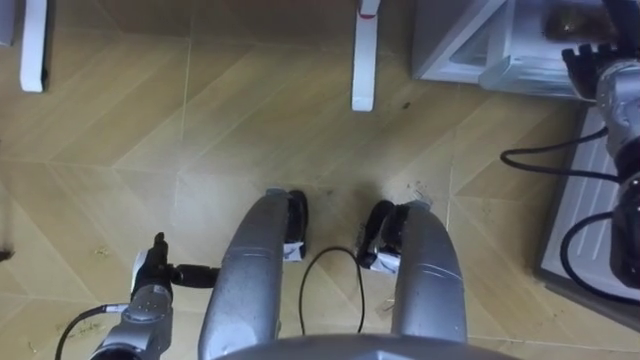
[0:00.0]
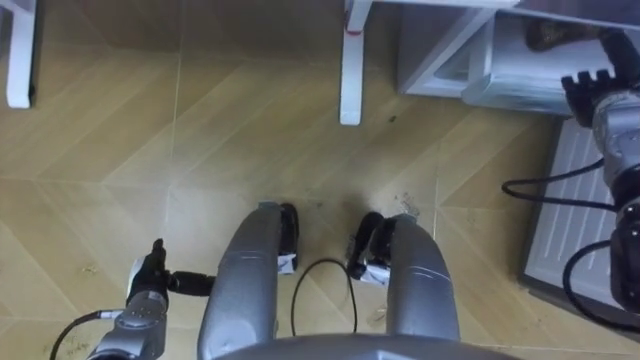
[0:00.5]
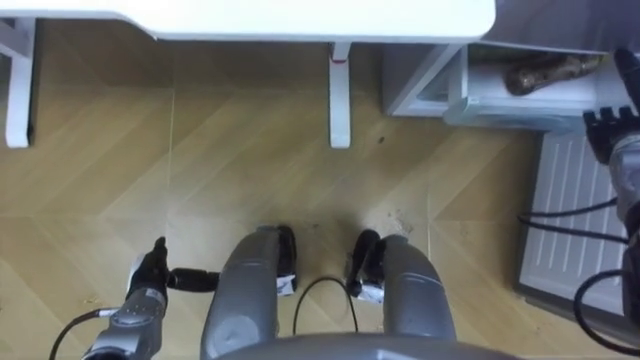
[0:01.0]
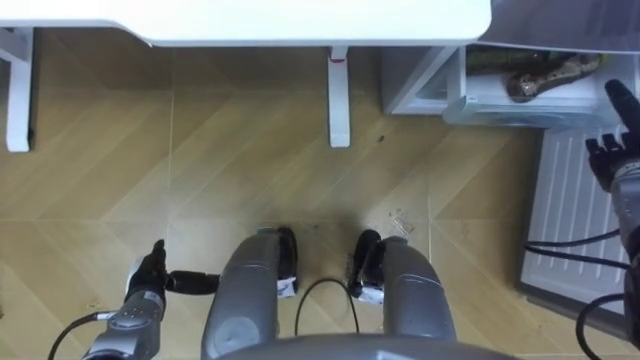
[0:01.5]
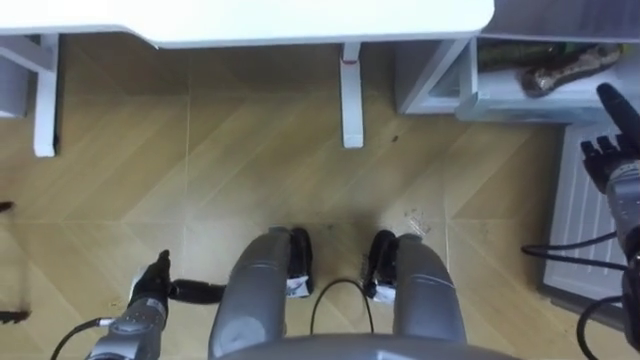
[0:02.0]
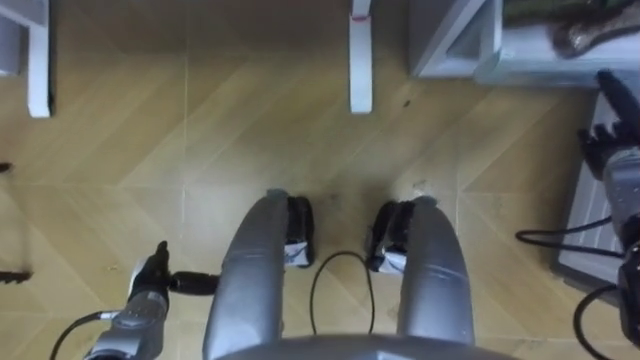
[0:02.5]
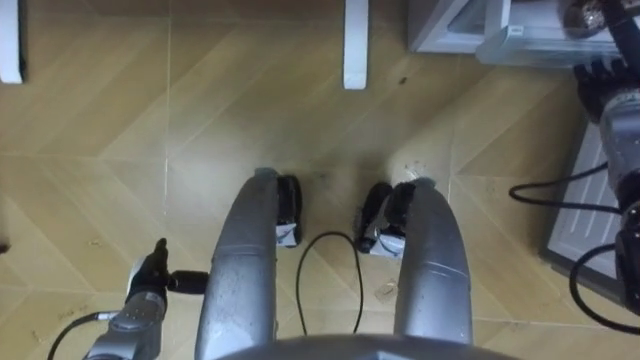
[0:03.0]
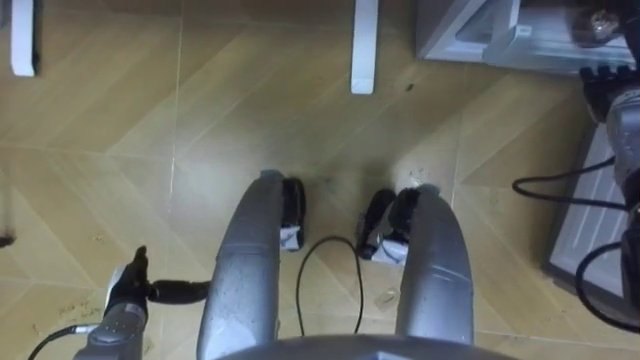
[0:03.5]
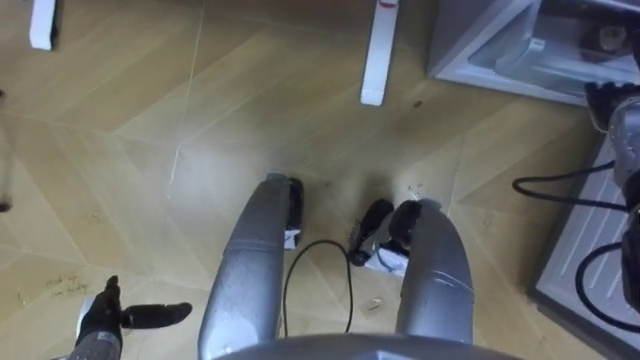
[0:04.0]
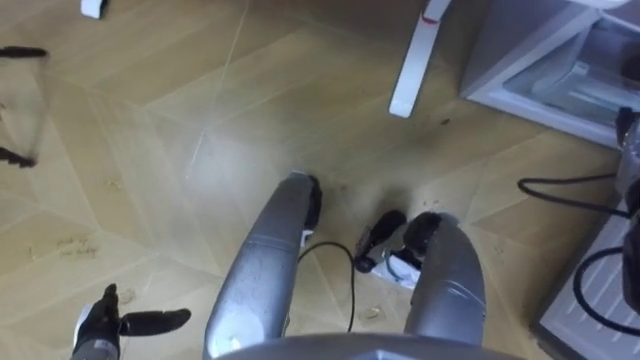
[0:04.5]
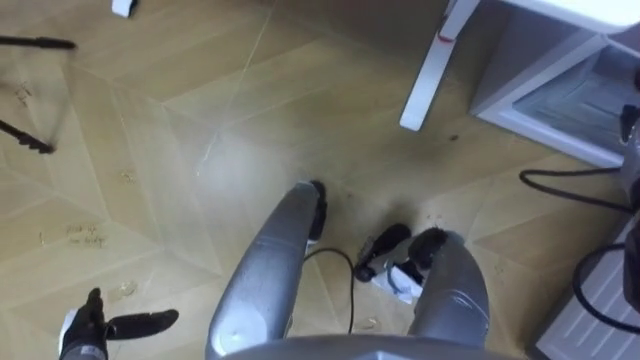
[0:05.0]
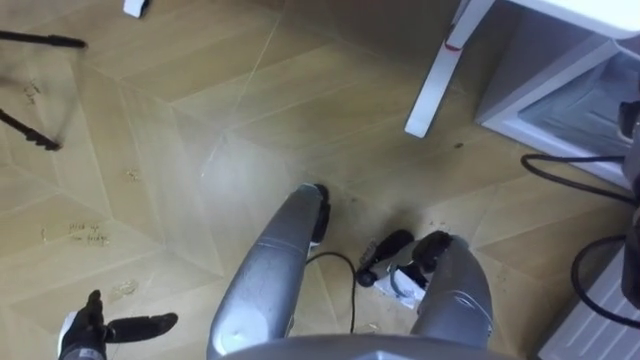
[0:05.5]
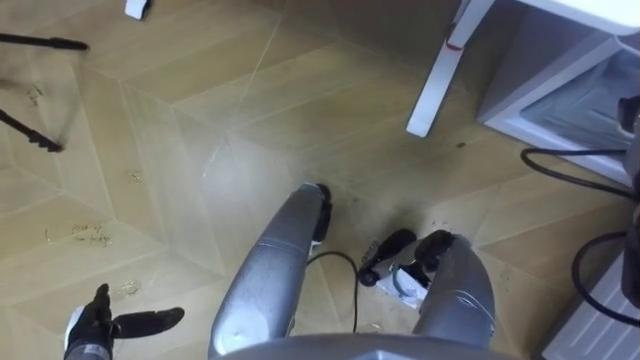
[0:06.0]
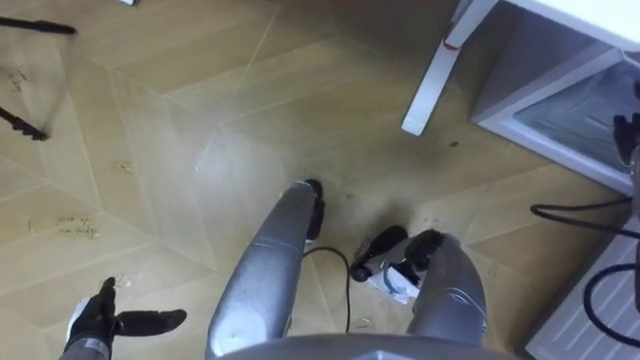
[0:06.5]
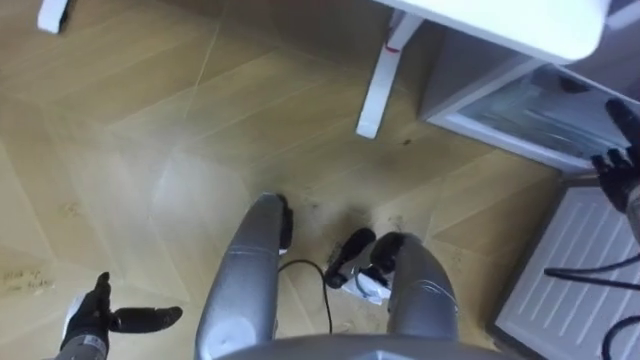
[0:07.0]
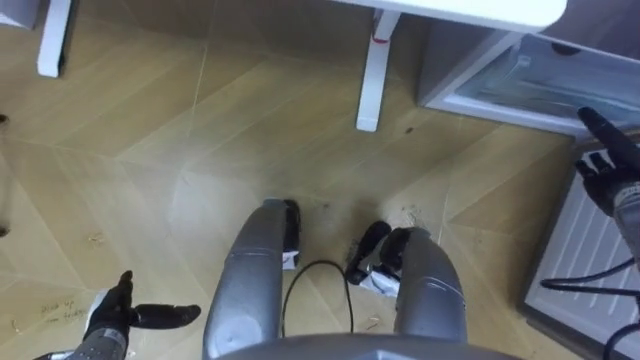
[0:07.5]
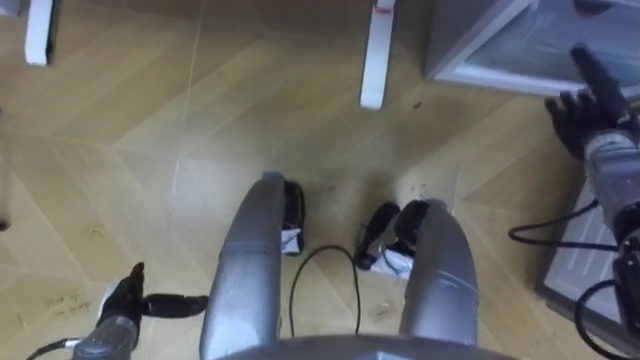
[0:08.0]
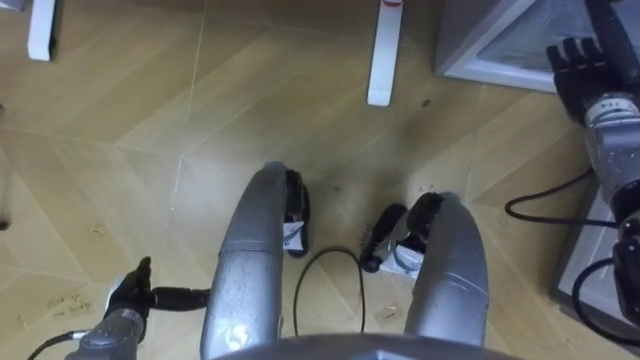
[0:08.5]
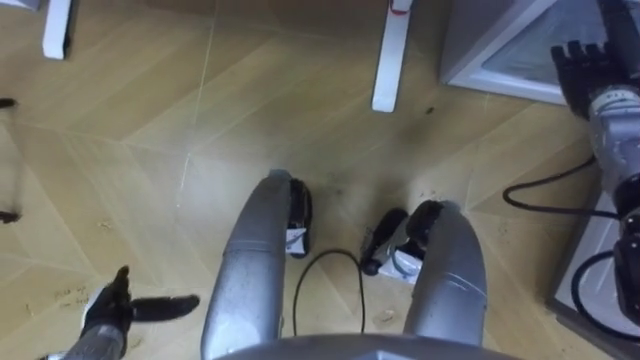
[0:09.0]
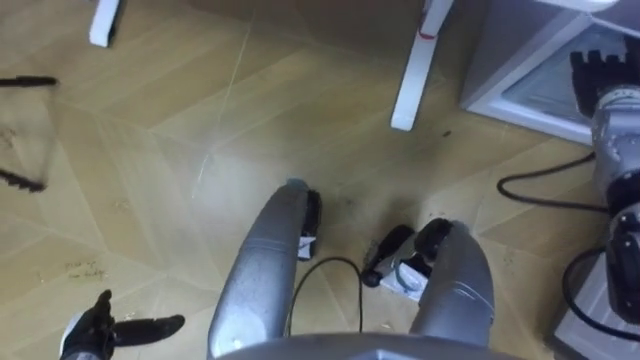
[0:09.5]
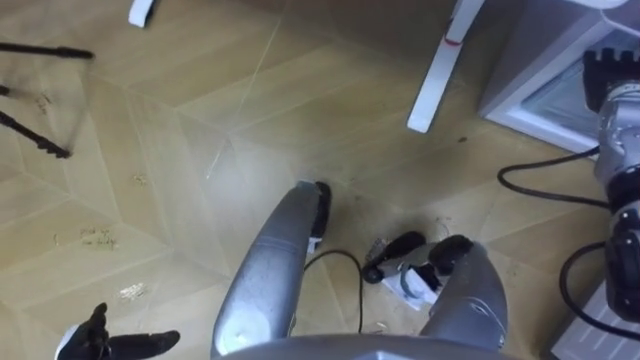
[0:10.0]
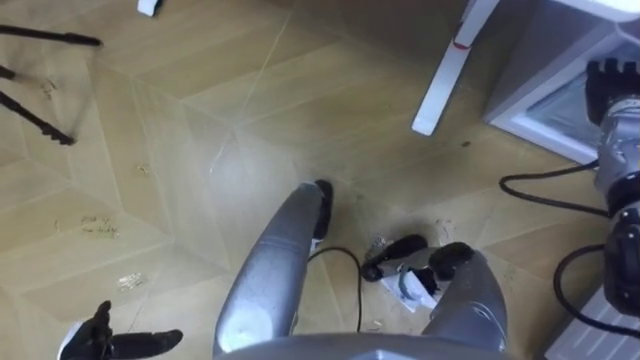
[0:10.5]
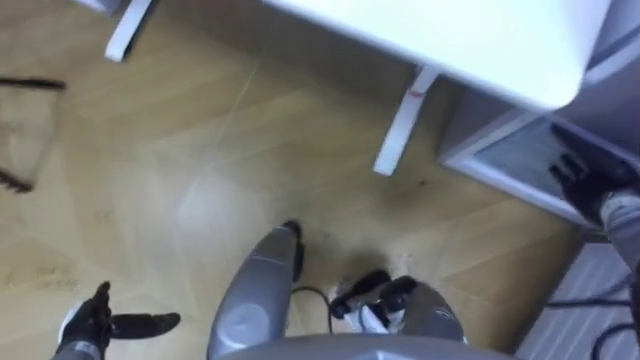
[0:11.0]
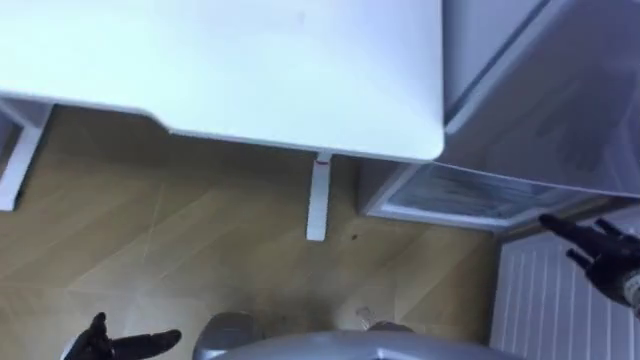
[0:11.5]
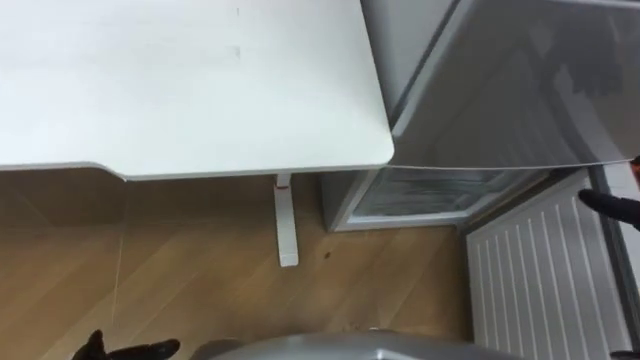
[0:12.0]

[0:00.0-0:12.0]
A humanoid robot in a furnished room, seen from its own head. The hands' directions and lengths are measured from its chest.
Task of the whole recording: Place the drink on the table on the bottom shelf of the refrigerator, then close the drawer and the refrigerator door.
0:00.0 to 0:02.0: The right hand goes some 15 cm backward and downward.
0:02.0 to 0:04.0: The left hand is displaced to the left by roughly 5 cm; the right hand goes approximately 10 cm forward and upward.
0:06.0 to 0:08.0: The left hand moves some 5 cm.
0:08.0 to 0:10.0: The right hand goes approximately 5 cm upward.

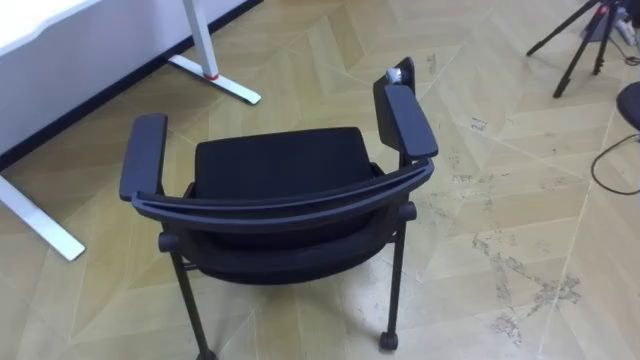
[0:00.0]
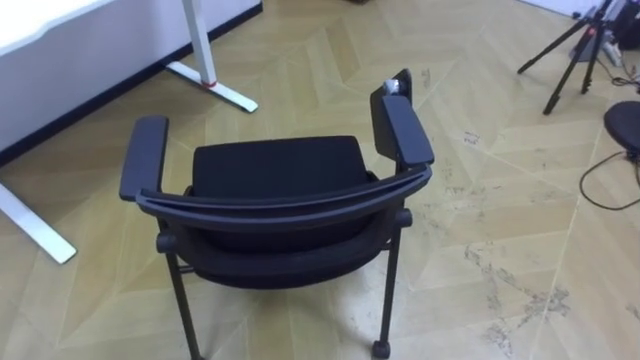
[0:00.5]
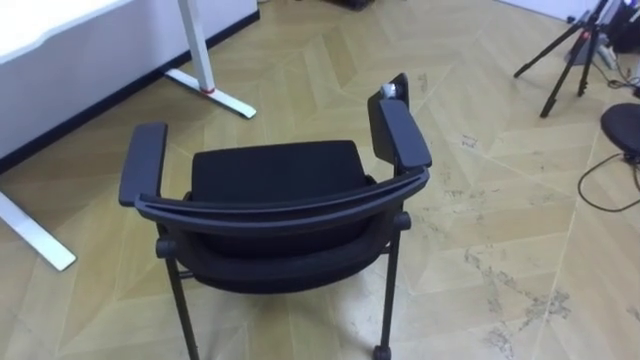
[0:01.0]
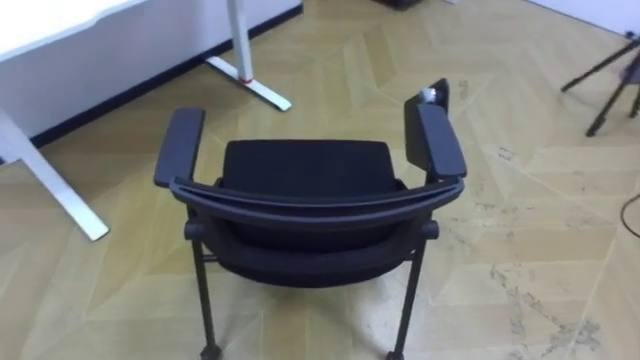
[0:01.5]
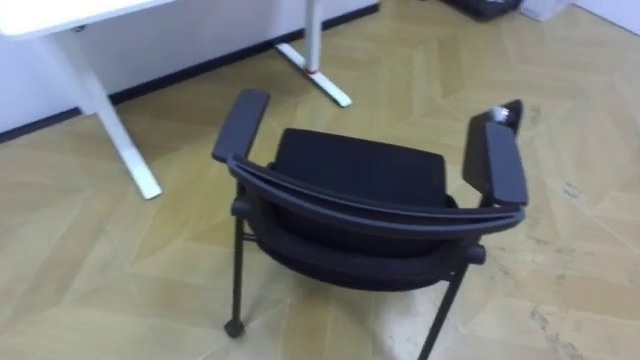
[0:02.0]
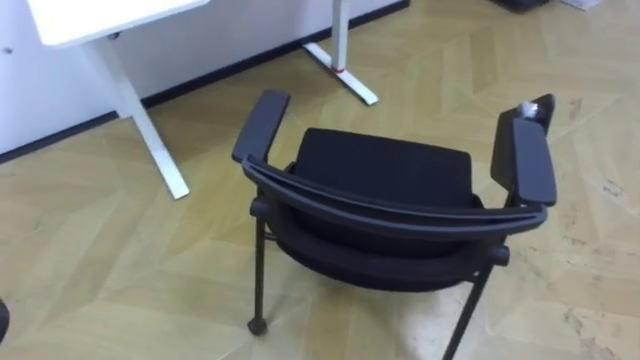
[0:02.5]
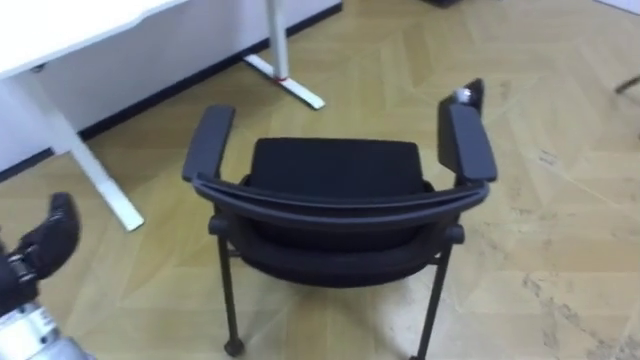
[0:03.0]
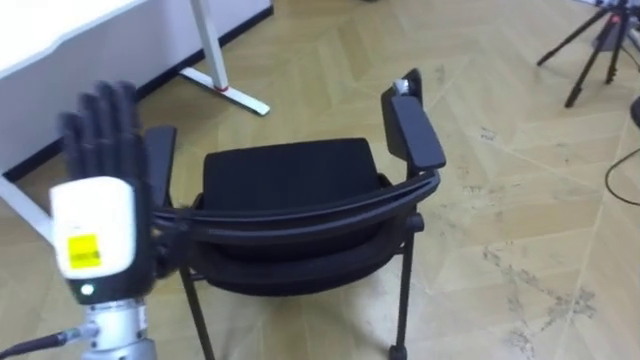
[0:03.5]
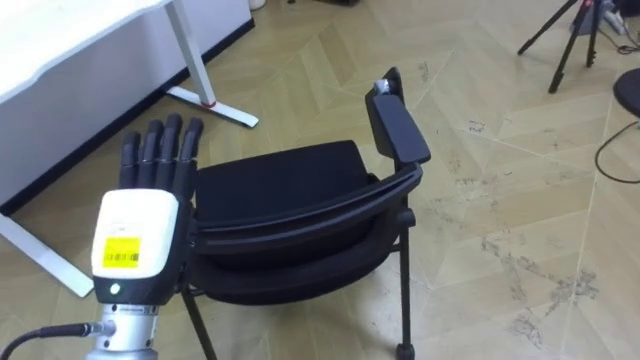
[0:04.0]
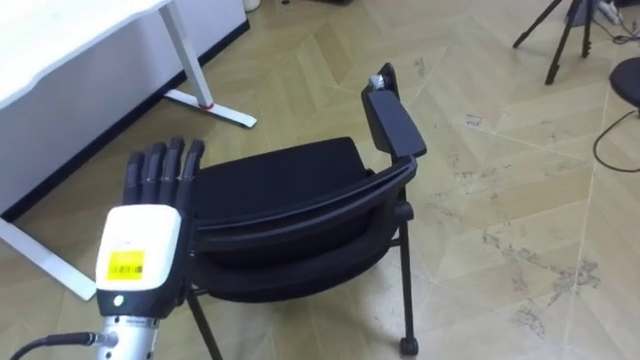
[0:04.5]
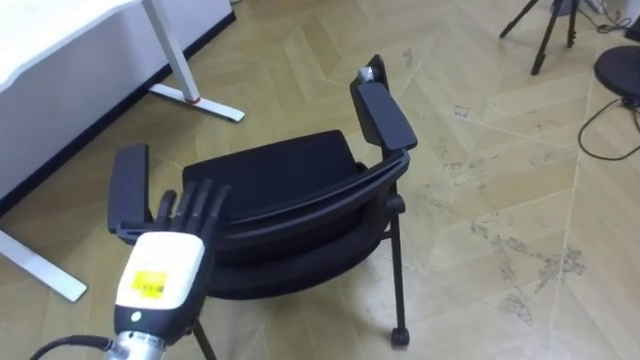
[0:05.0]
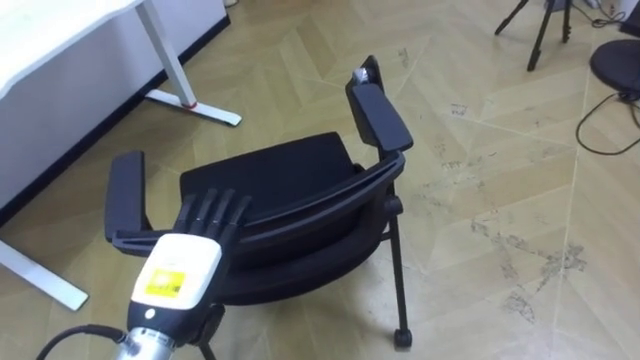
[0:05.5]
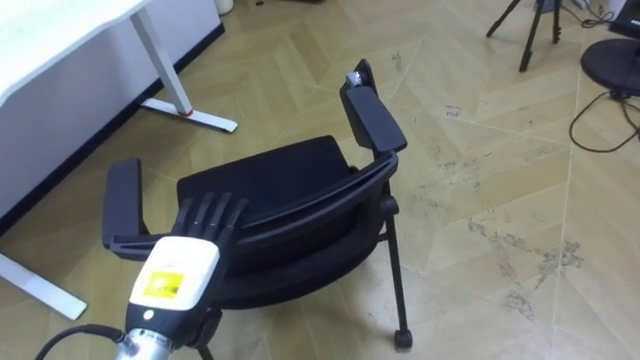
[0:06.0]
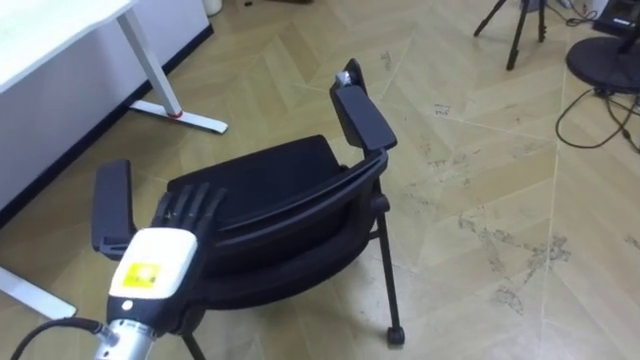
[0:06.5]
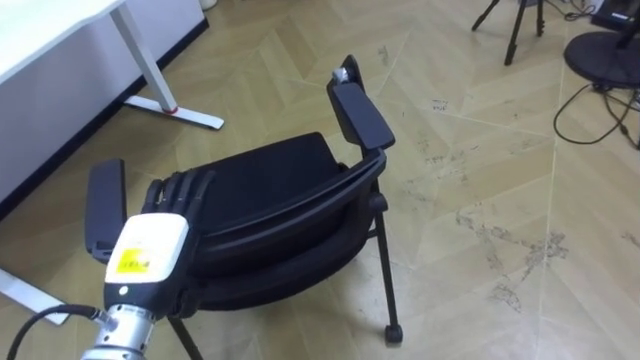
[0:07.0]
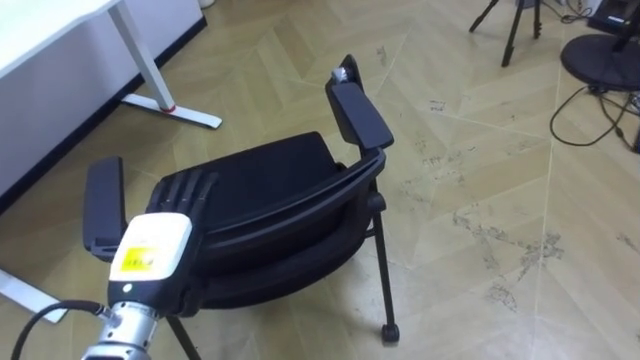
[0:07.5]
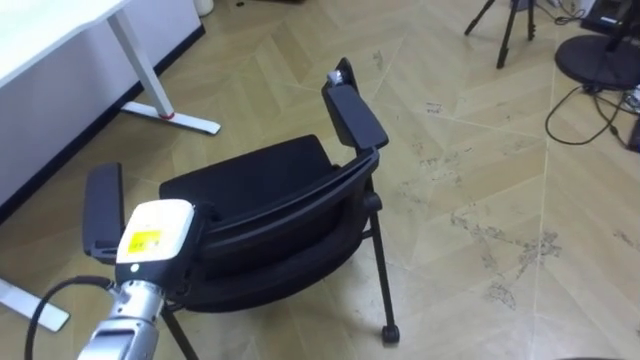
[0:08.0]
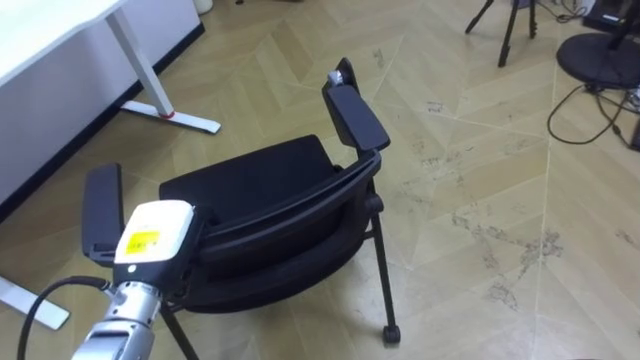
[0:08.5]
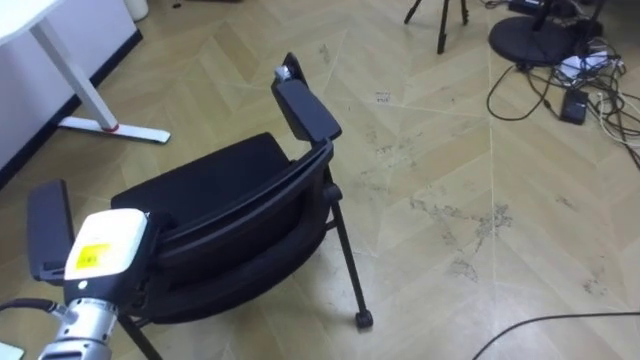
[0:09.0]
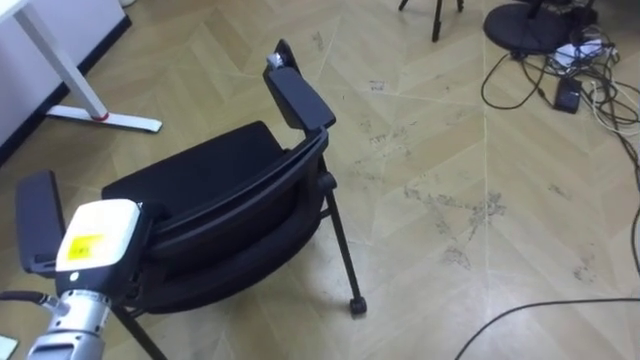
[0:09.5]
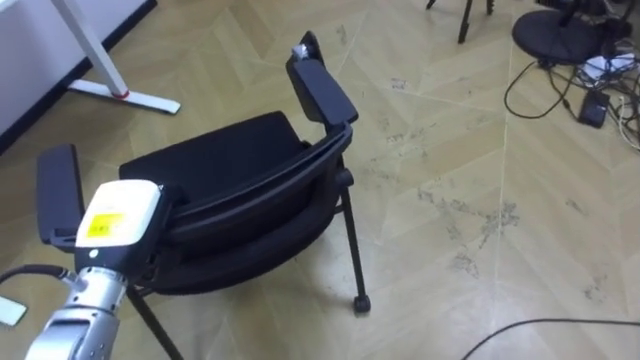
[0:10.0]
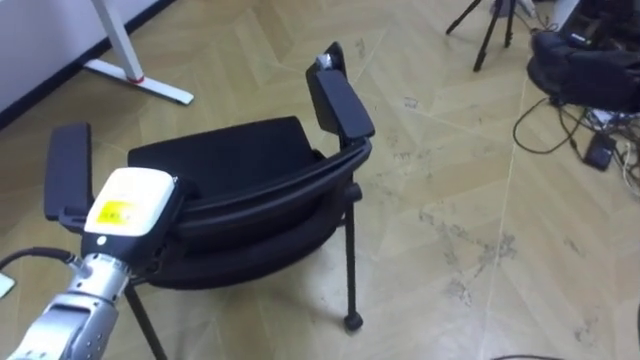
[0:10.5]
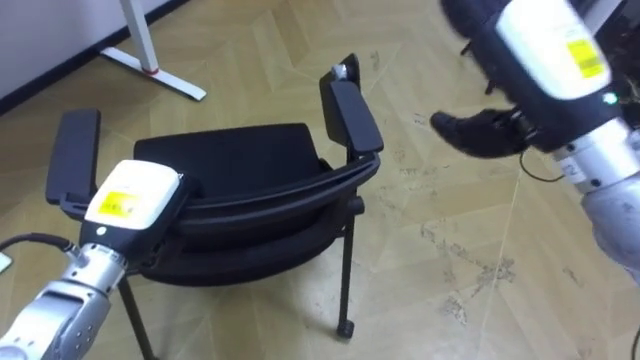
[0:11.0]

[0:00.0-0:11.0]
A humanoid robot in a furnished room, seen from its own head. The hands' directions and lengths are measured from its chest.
Task of the whole recording: Push the chair under the table.
0:03.5 to 0:05.5: The left hand shifts about 10 cm downward.
0:07.5 to 0:09.0: The left hand moves to the left, roughly 5 cm, and closes up.
0:09.0 to 0:11.0: The left hand changes place by roughly 5 cm.
